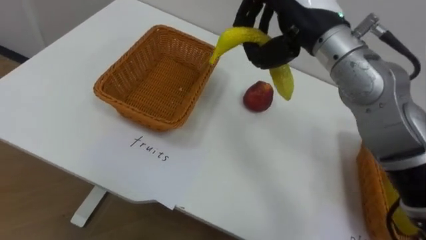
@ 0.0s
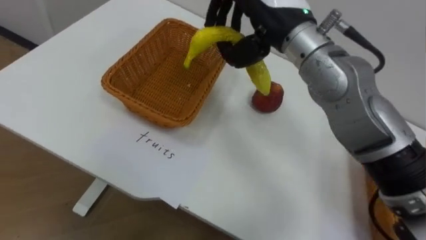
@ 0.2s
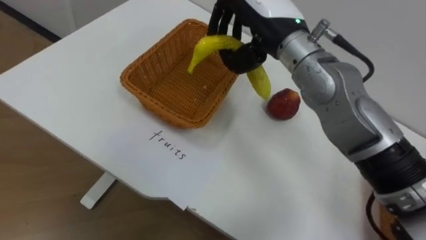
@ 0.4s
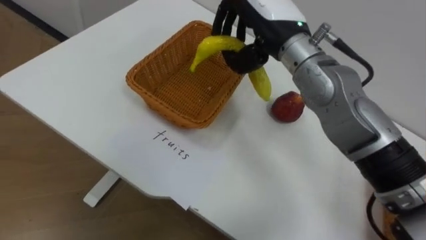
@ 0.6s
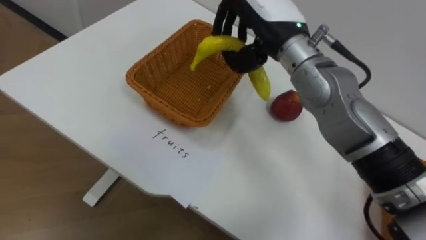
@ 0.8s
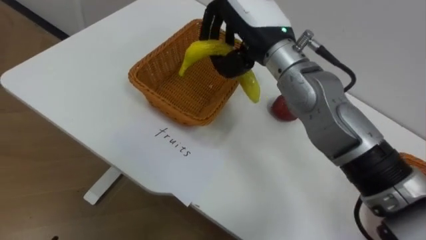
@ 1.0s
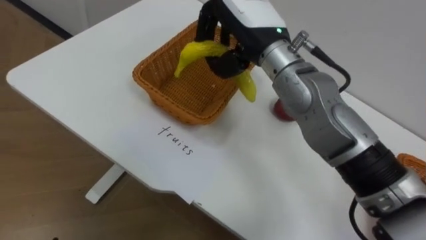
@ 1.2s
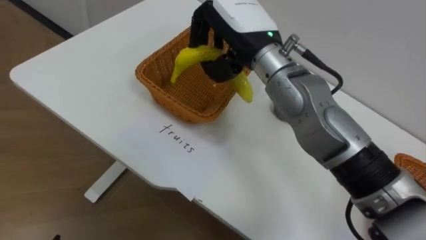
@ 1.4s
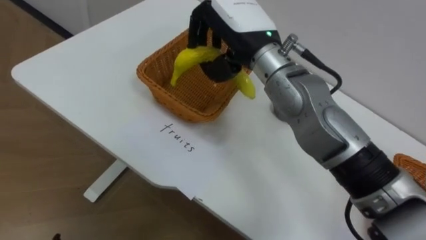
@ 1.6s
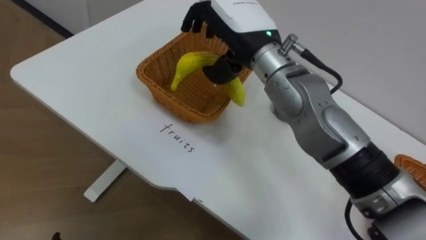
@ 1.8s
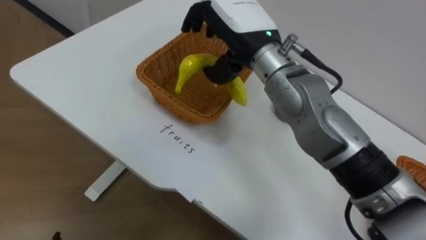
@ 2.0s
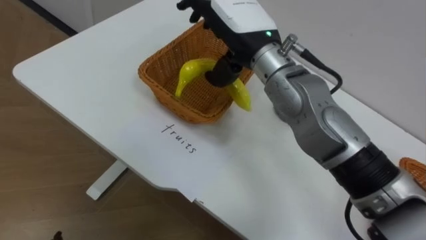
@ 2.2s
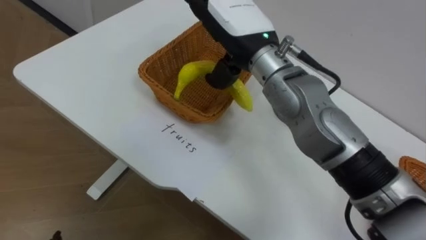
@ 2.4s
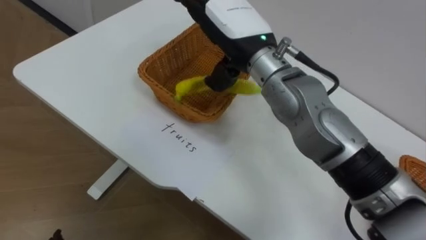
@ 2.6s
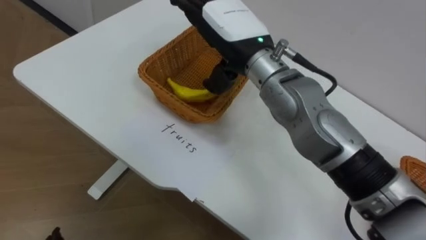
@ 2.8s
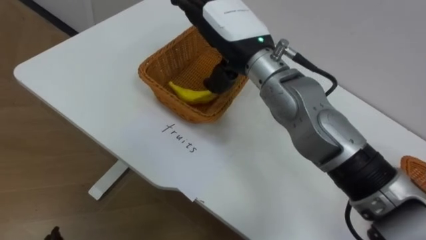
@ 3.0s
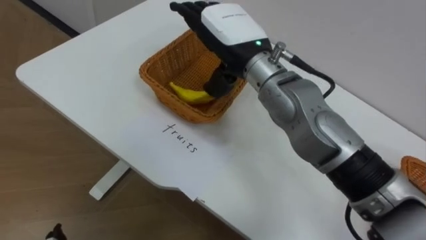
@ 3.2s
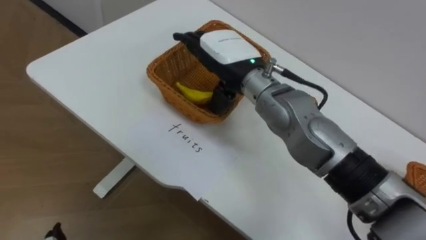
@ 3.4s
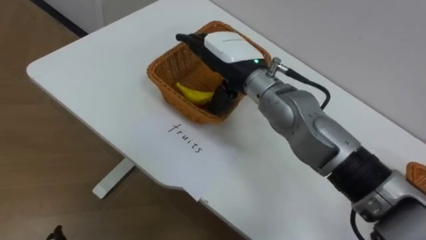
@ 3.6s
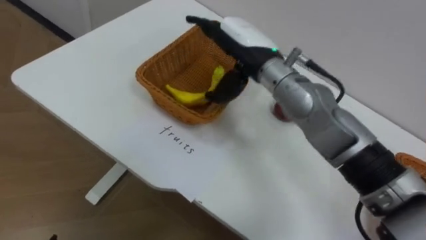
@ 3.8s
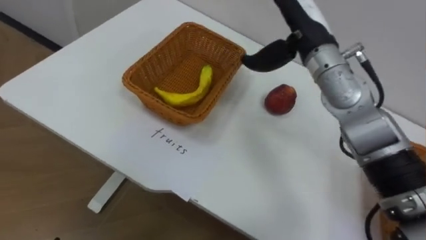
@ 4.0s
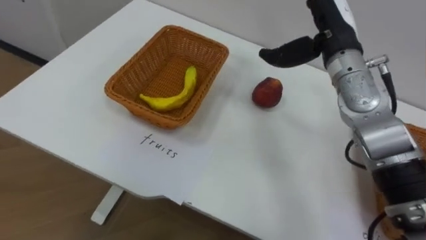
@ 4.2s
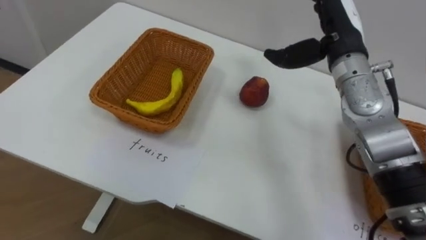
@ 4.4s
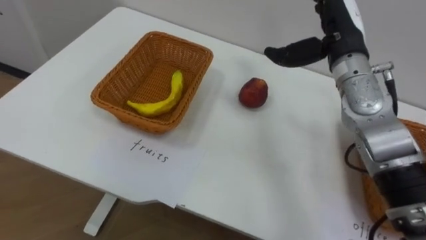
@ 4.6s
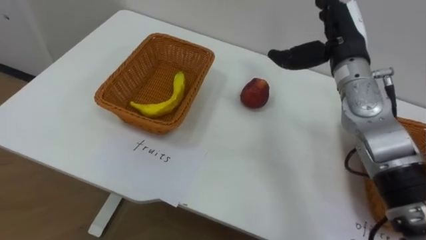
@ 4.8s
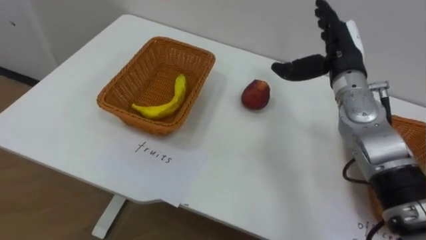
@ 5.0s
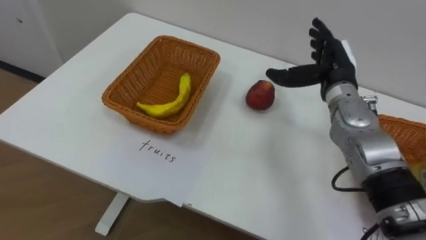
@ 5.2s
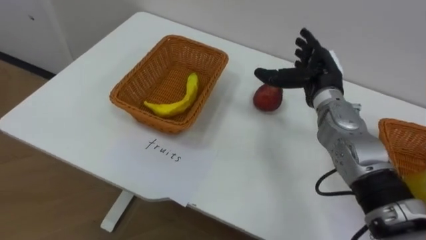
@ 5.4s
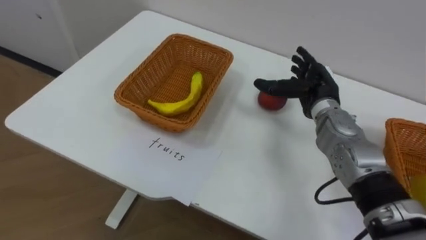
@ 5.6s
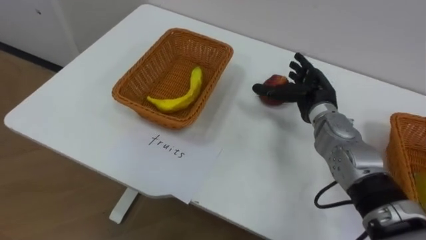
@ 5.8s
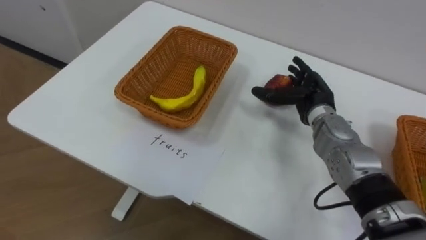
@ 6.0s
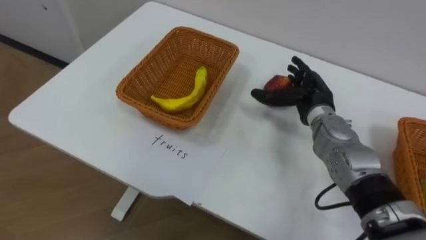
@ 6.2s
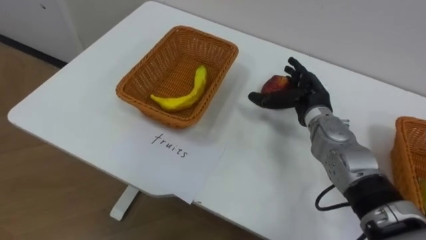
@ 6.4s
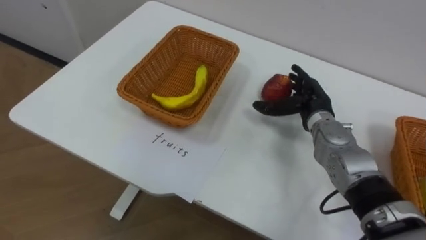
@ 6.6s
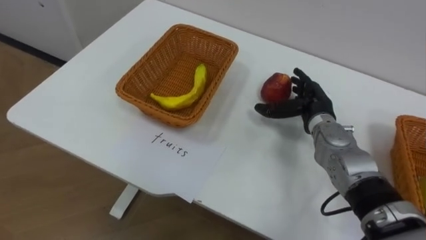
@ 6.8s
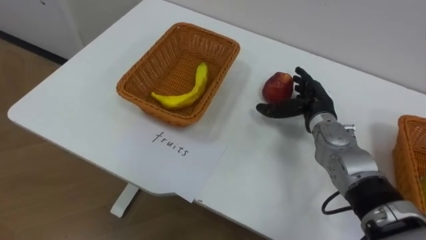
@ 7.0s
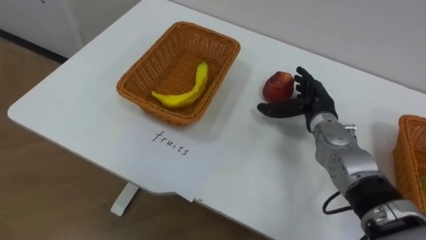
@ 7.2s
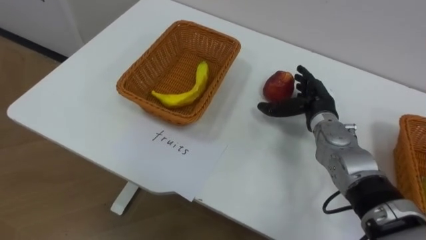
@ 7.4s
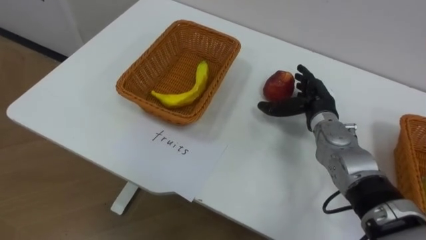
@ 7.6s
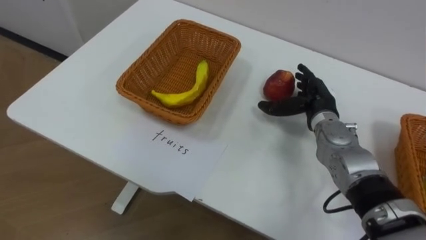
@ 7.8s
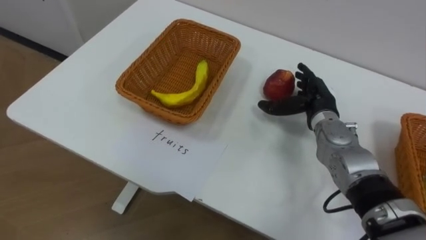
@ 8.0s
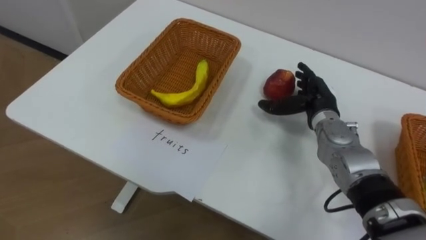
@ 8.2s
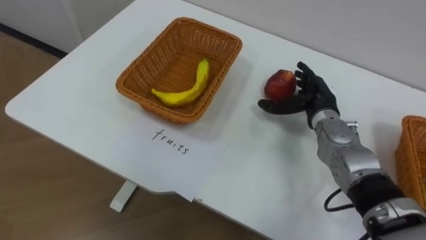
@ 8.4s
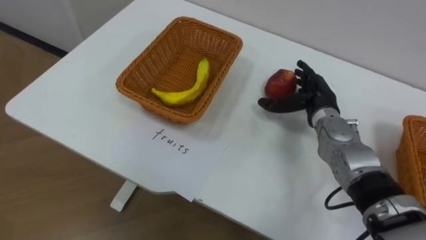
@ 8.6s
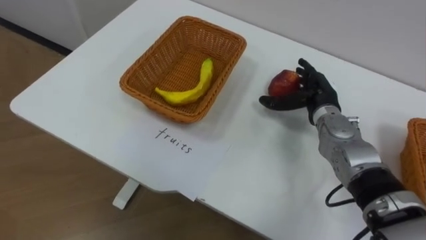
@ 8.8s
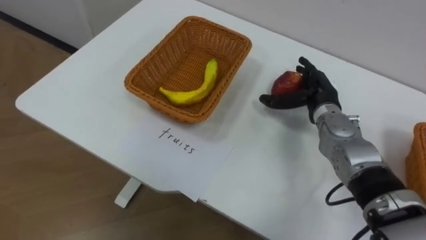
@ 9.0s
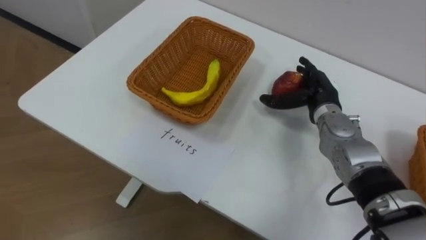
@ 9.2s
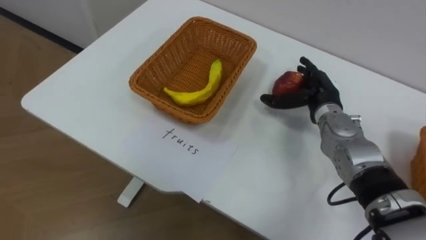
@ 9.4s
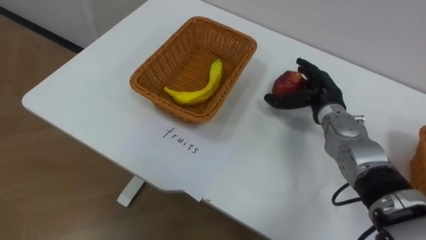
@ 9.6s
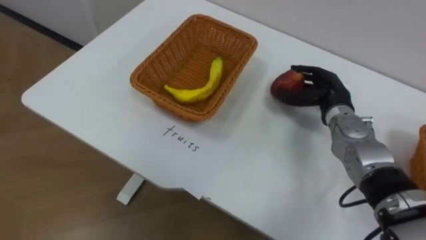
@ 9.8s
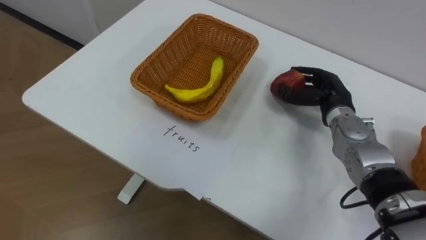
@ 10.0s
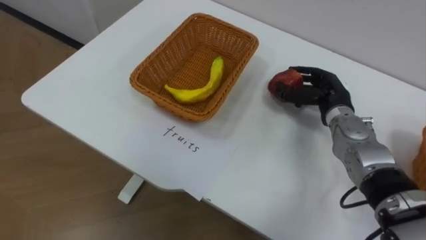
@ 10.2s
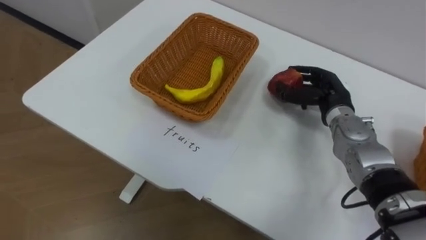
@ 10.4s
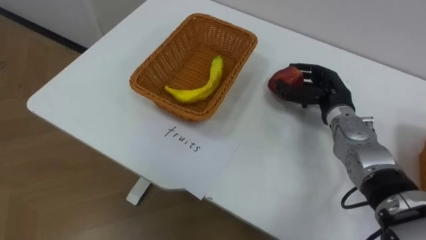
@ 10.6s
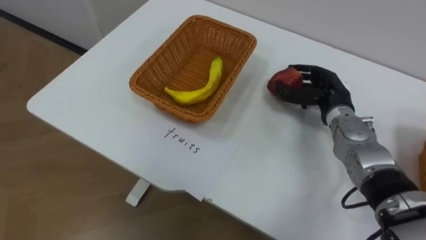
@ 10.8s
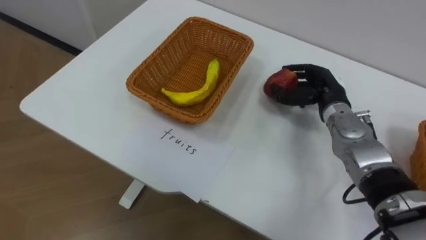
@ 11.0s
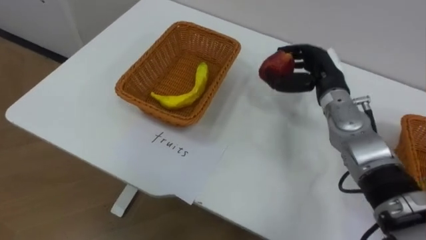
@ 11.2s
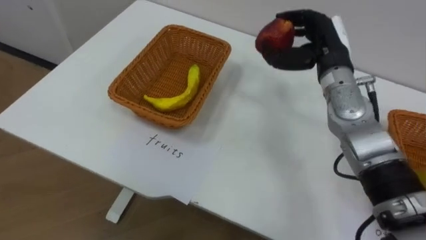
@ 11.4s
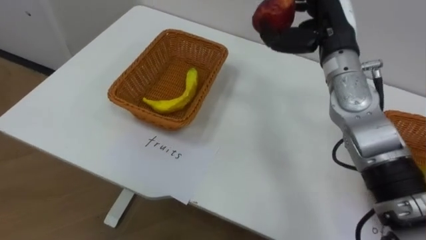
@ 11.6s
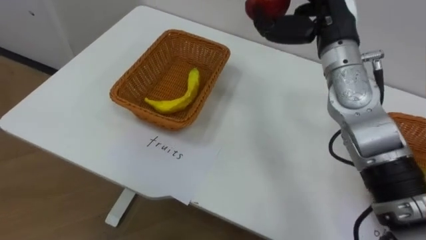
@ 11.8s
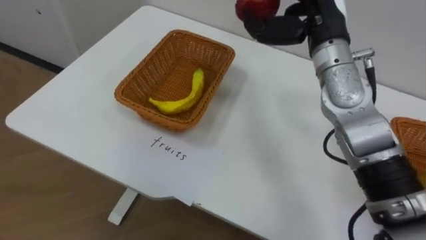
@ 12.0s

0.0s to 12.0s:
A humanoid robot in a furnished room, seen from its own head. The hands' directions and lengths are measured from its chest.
Task of the whole recording: Separate the items on the table and place them into the two baskets.
0.0s to 1.6s: The right hand moves to the left, roughly 10 cm.
1.6s to 3.0s: The right hand opens up.
3.0s to 4.4s: The right hand moves to the right, approximately 15 cm.
4.4s to 6.0s: The right hand travels downward by some 15 cm.
9.0s to 10.4s: The right hand closes up.
10.4s to 12.0s: The right hand shifts about 20 cm upward.

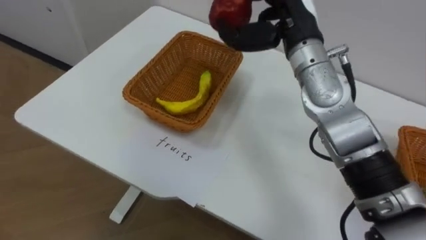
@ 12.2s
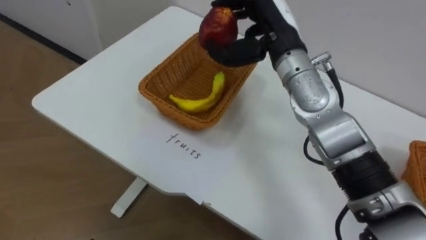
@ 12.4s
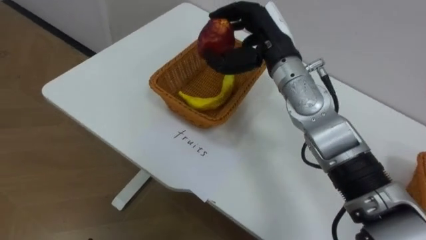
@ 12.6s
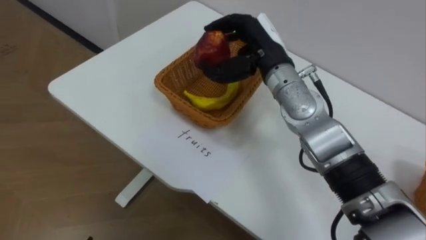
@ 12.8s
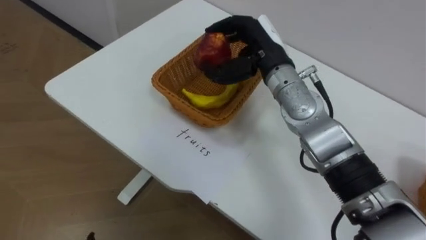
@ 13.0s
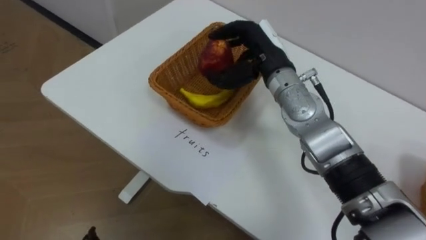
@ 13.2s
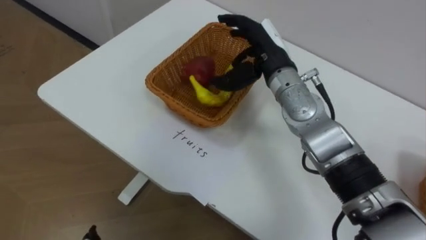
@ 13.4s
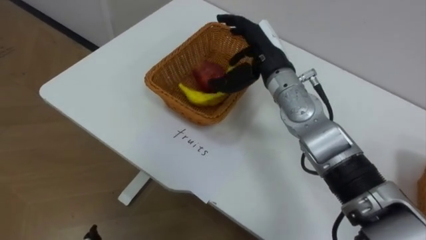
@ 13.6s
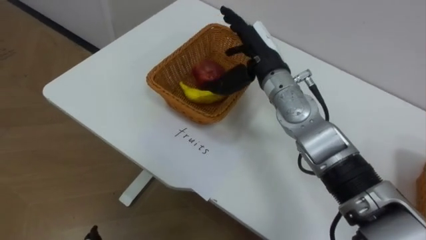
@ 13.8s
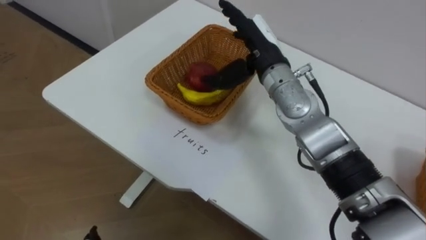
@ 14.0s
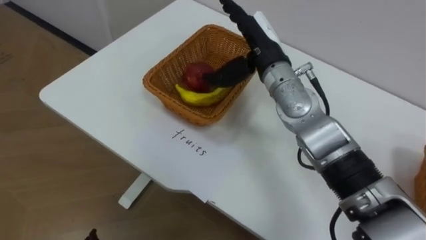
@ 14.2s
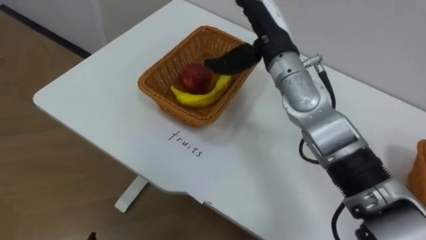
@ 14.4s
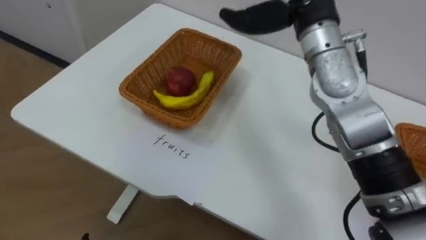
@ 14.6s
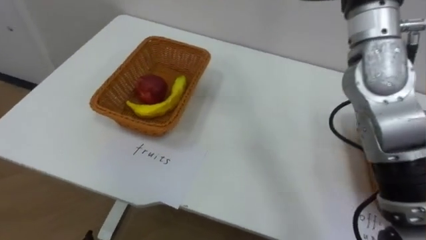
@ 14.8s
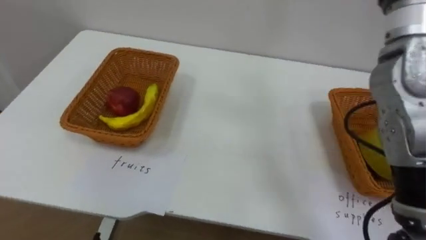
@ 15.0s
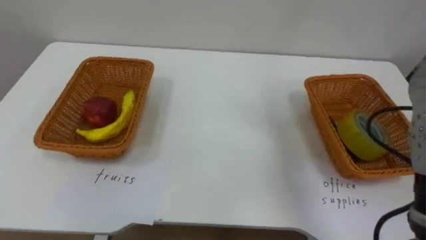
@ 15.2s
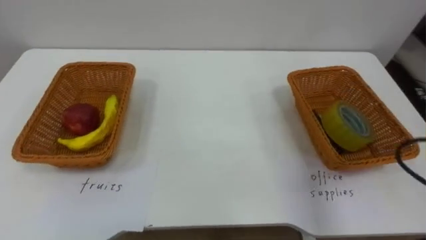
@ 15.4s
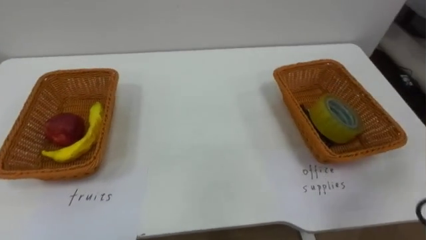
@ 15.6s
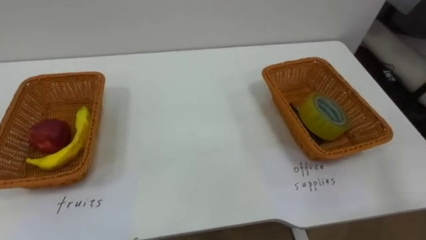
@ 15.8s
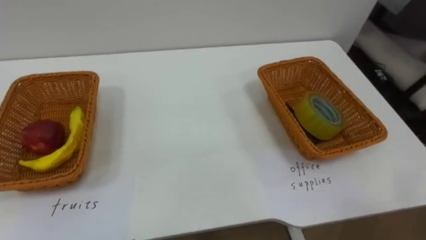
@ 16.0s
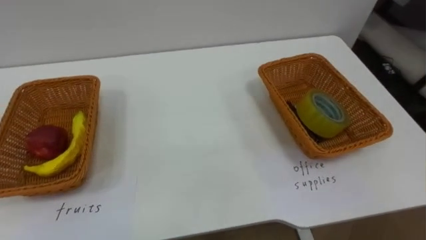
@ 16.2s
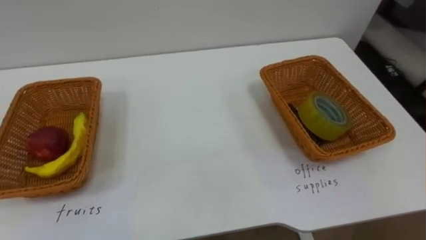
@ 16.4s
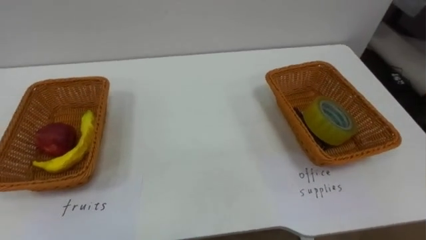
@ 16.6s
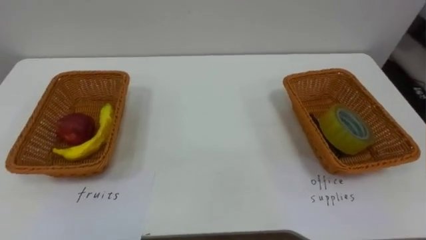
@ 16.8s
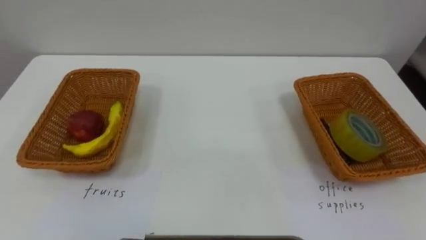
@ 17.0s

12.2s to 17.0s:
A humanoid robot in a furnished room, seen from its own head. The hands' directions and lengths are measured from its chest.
Task of the whole recording: Separate the items on the table and place them into the two baskets.
12.2s to 13.8s: The right hand shifts approximately 5 cm downward, and opens.
